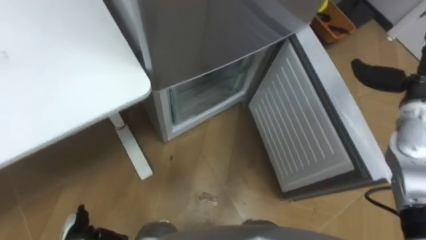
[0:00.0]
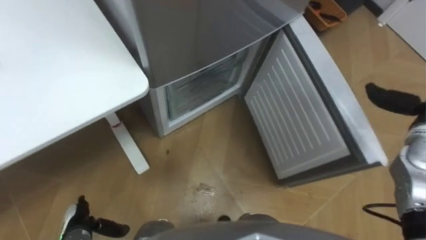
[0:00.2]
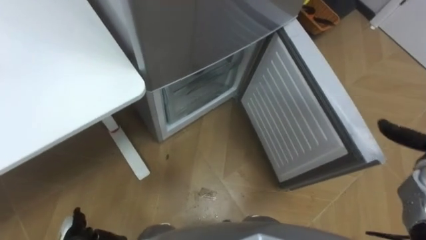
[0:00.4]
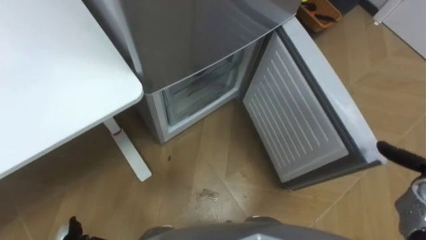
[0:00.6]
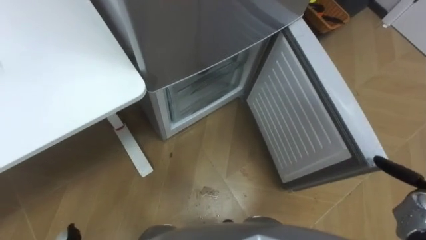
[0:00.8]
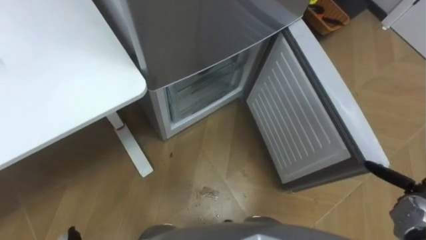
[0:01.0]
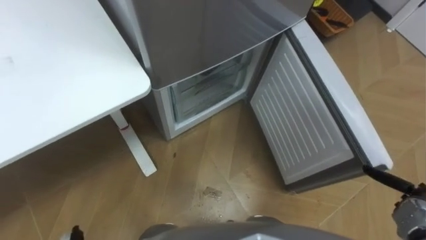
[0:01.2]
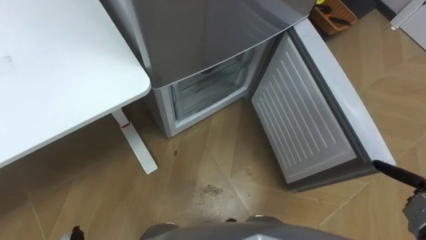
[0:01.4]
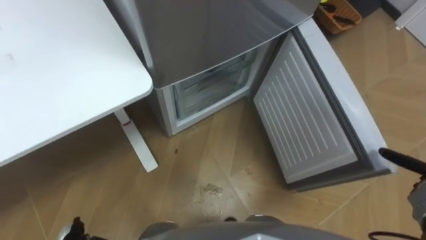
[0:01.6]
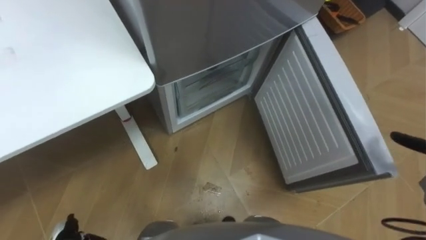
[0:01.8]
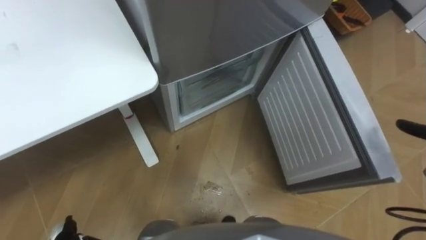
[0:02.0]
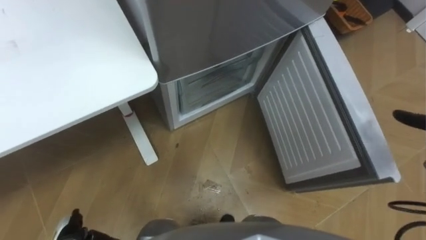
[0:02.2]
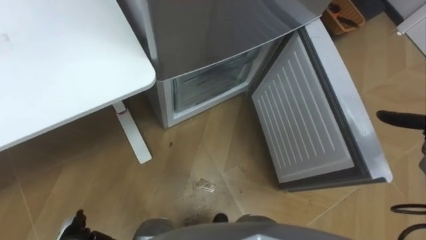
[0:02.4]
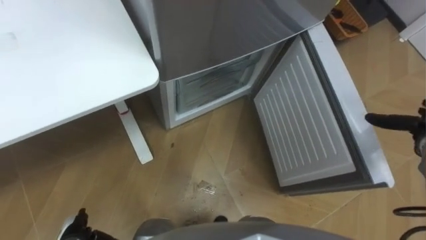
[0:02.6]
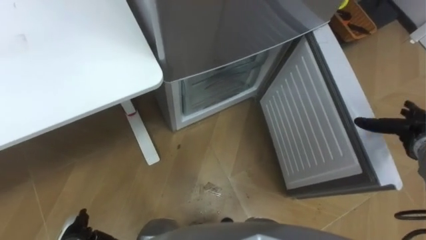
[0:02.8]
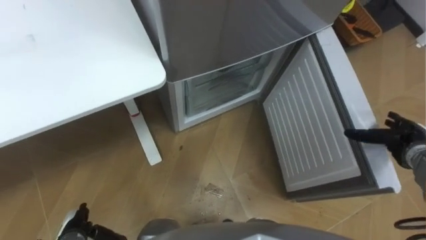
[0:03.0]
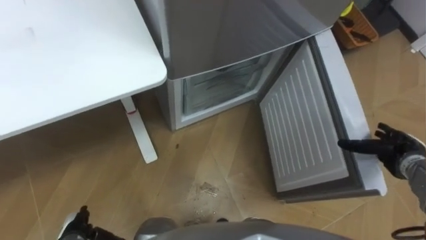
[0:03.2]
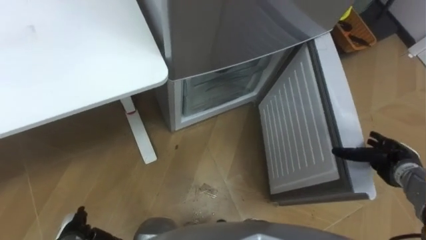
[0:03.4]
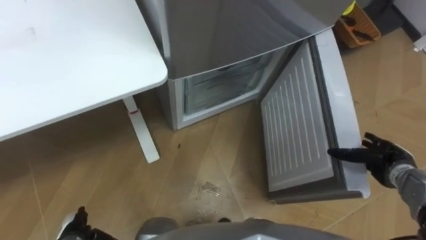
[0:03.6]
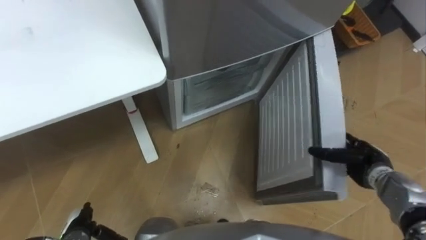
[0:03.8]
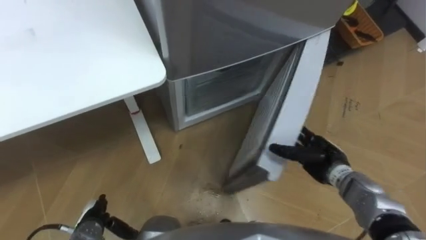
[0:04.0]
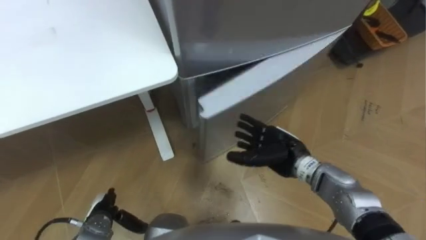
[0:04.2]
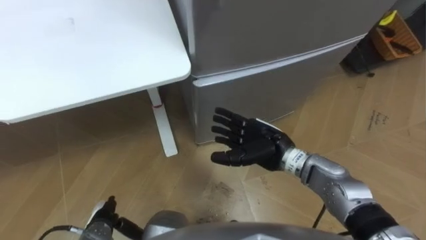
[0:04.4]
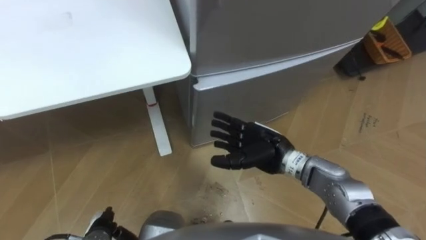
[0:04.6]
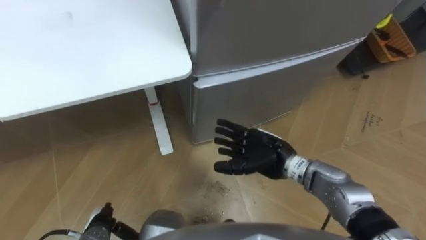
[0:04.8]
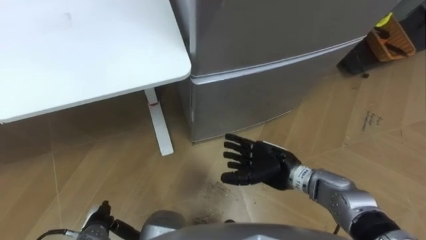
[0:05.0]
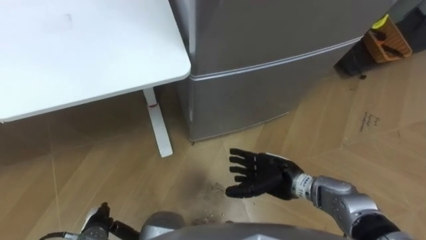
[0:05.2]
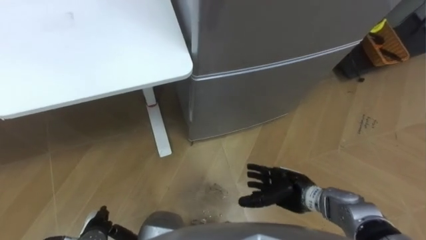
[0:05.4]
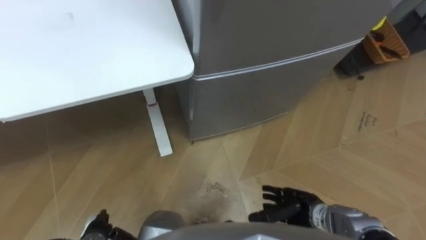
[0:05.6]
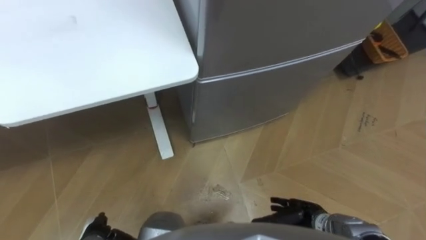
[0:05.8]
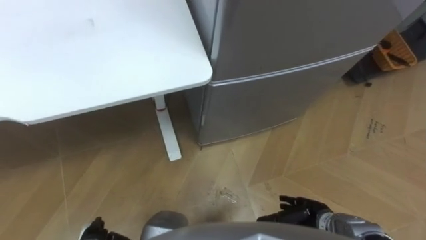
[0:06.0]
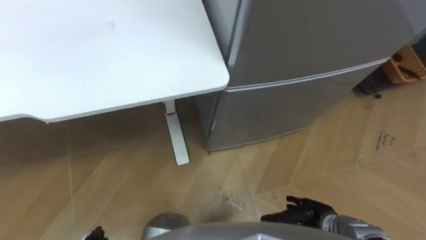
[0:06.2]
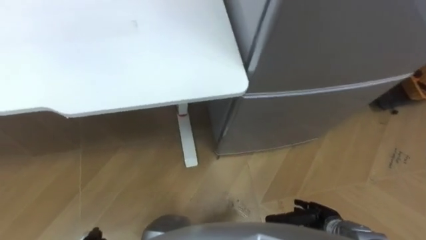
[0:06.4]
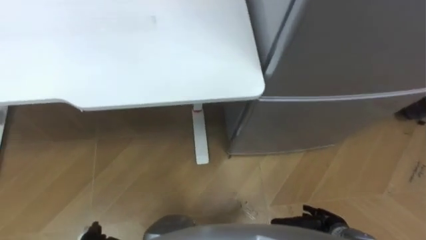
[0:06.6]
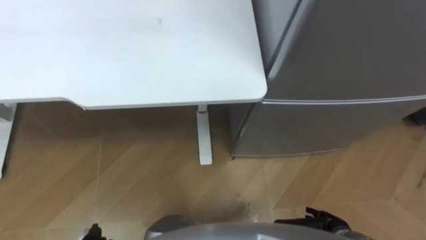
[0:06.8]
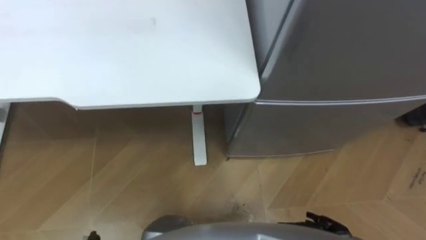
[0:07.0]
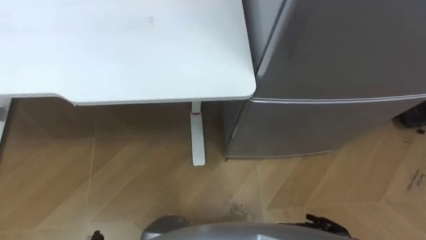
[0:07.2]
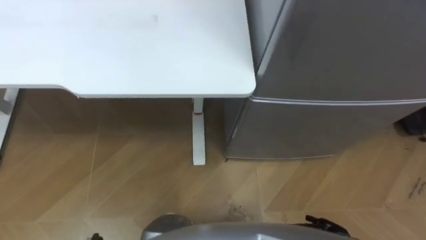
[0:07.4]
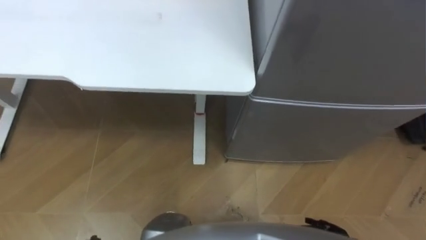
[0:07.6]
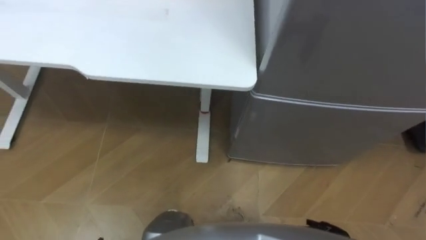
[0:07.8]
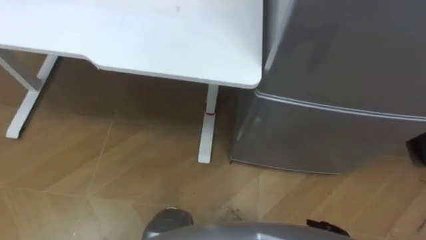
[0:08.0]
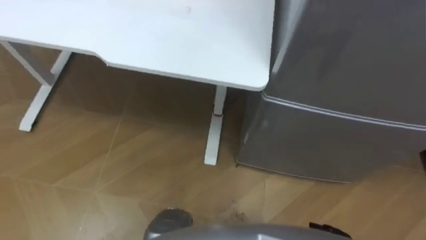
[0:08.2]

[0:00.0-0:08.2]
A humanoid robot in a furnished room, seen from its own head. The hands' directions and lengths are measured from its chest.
Task of the whole recording: Place the drink on the table on the bottom shelf of the refrigerator, then close the drawer and the refrigerator door.
0:00.0 to 0:01.6: The right hand goes some 25 cm downward, backward and to the right.
0:03.2 to 0:05.0: The right hand travels to the left by approximately 30 cm.
0:05.0 to 0:06.6: The right hand shifts approximately 20 cm backward, to the right and downward.
0:06.6 to 0:08.2: The robot rotates approximately 15 degrees to its left.

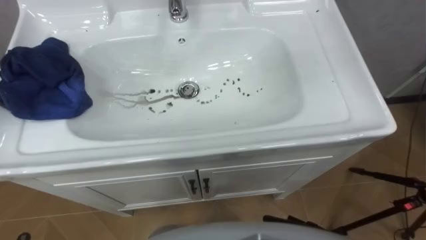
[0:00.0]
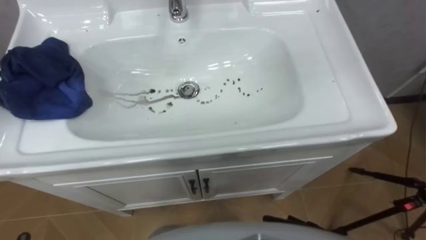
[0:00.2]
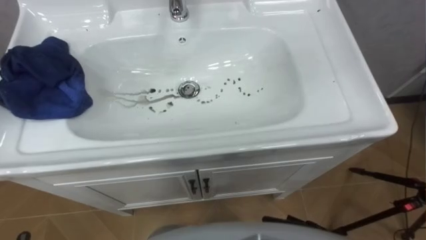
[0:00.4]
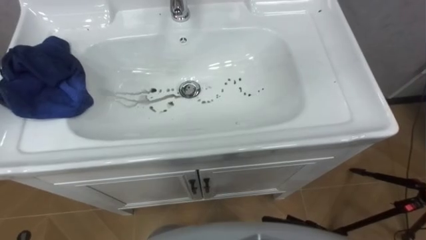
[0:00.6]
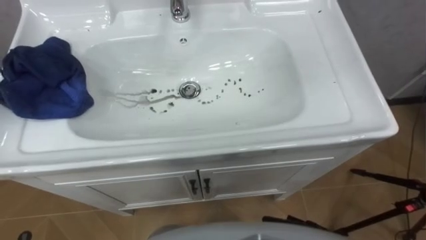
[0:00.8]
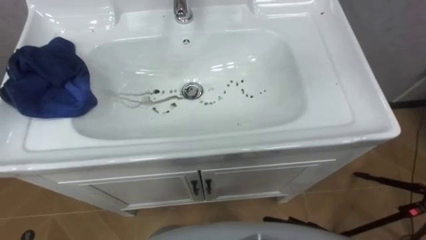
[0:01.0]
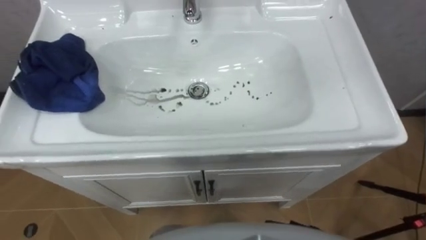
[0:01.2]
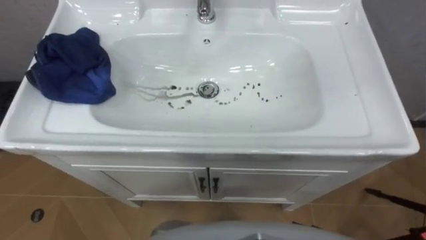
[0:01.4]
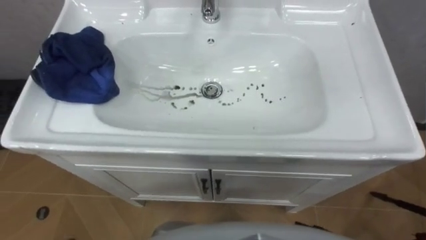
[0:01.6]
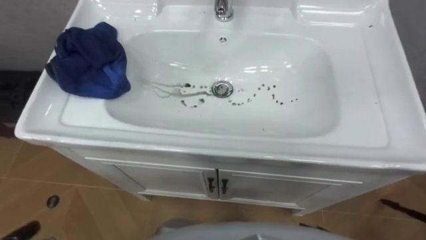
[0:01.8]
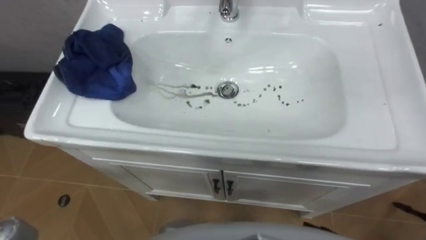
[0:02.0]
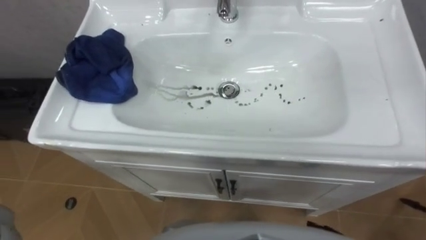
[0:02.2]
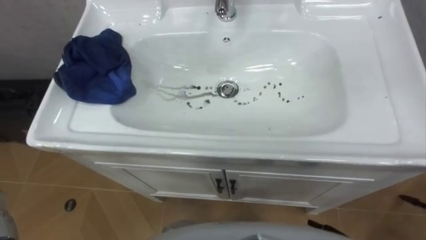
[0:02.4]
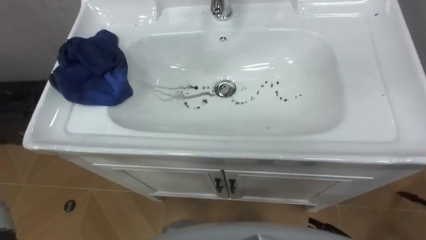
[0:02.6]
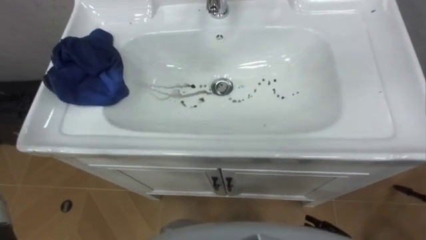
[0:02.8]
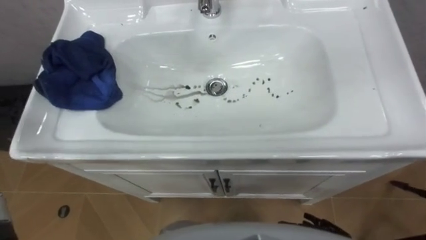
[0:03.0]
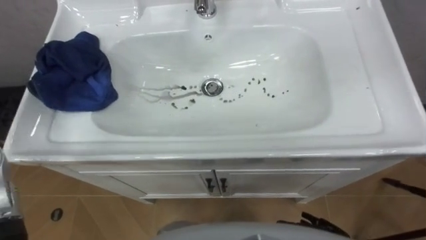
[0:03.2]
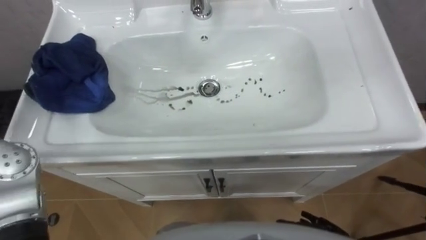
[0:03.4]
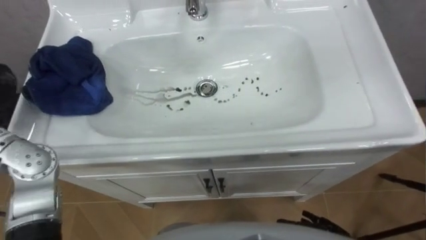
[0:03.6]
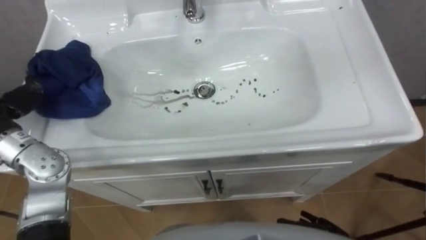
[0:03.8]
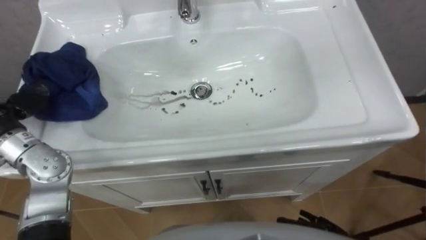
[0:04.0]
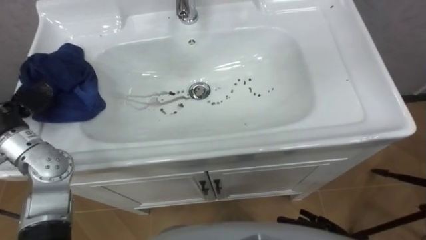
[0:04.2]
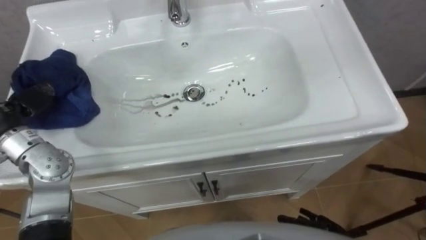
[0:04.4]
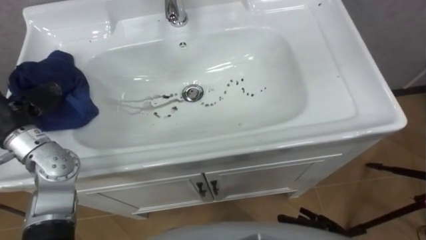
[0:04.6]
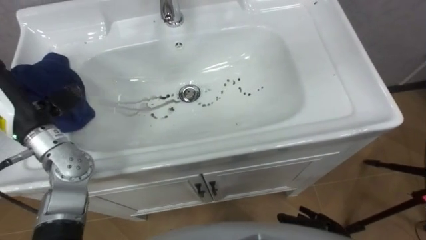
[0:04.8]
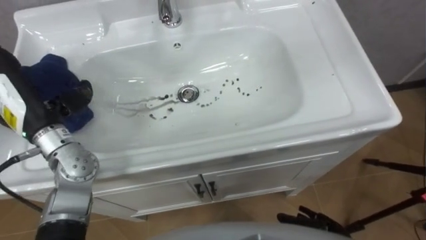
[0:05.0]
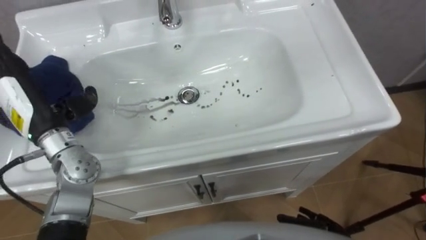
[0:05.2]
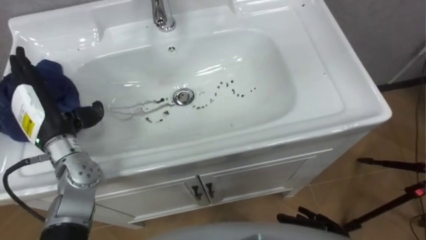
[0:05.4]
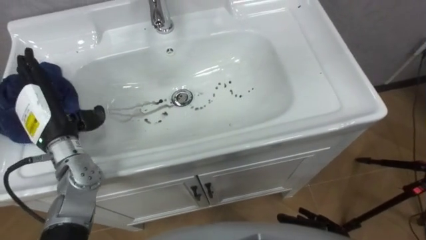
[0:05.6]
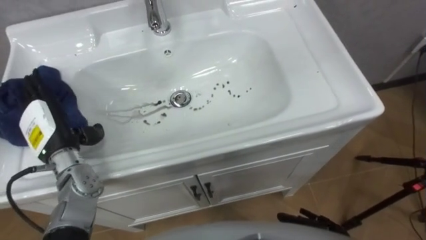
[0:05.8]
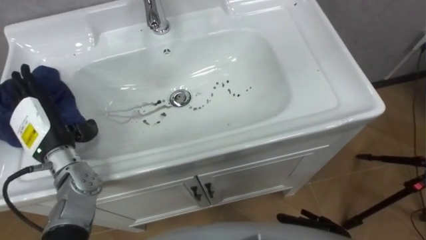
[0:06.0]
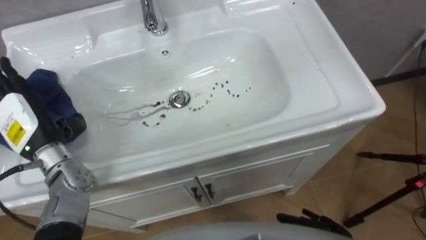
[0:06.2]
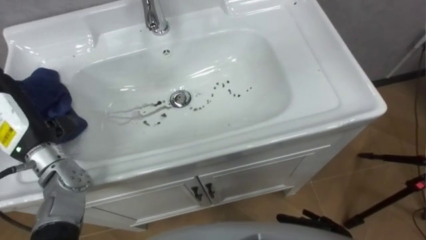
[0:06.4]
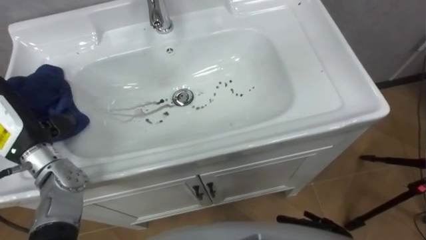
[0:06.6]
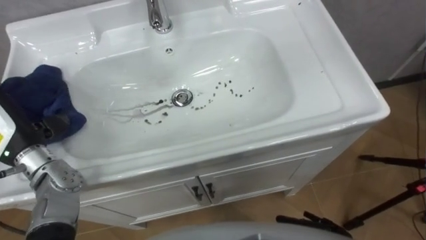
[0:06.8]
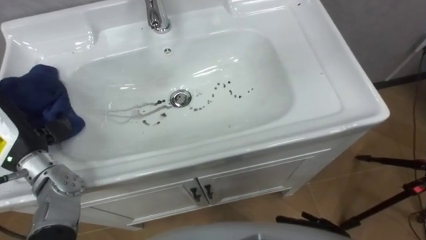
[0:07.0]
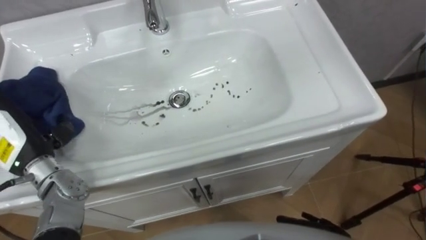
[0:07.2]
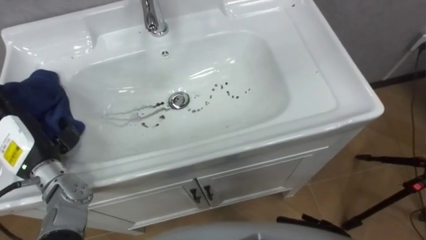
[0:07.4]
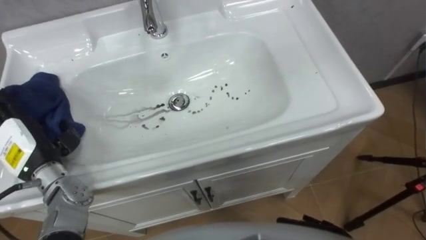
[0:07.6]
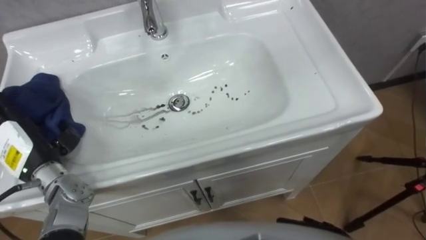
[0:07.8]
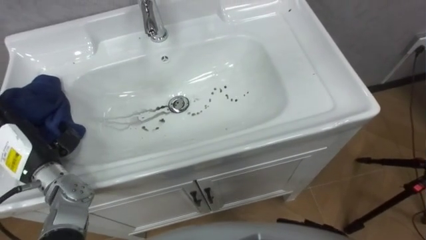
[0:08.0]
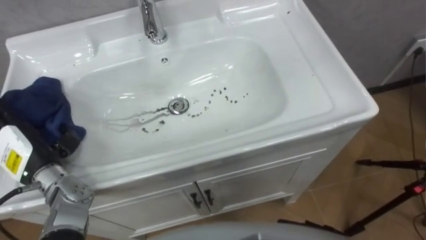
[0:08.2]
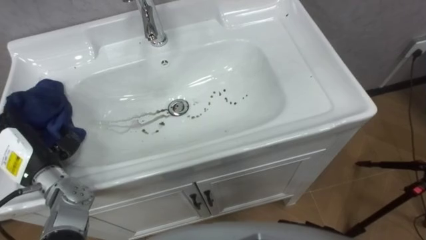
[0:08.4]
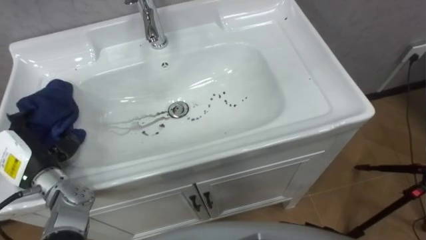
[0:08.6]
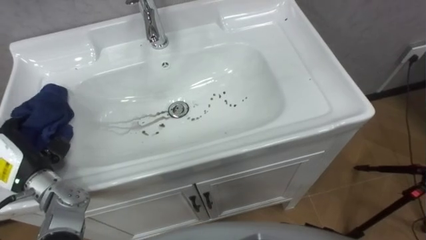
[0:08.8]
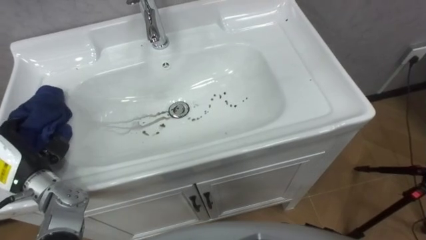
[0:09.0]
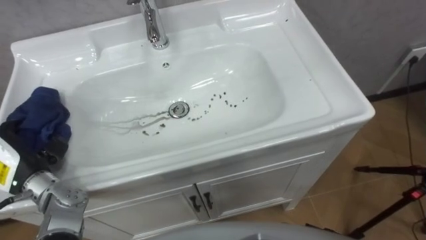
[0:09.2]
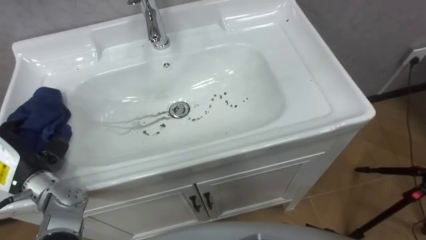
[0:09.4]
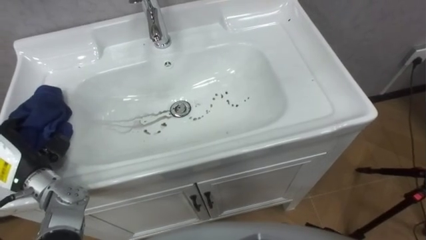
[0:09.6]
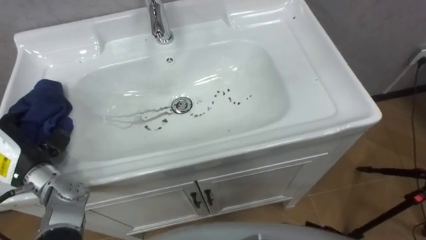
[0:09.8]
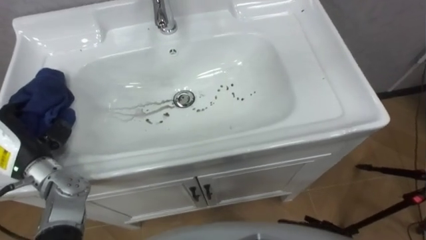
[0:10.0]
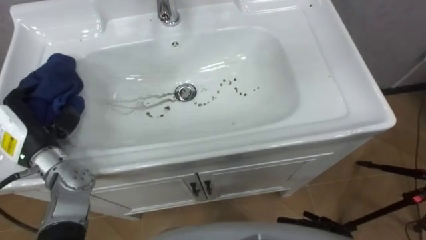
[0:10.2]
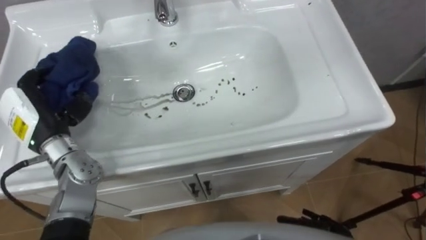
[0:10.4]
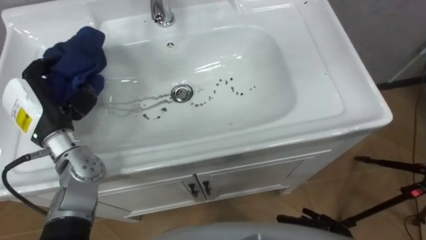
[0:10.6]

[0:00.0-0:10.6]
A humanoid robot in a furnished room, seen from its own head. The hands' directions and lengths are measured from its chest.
Task of the whole recording: Use the cloth on the right to wipe away the black stain in the sink.
0:07.6 to 0:09.0: The left hand closes.
0:09.0 to 0:10.6: The left hand moves forward, upward and to the right, about 10 cm.
